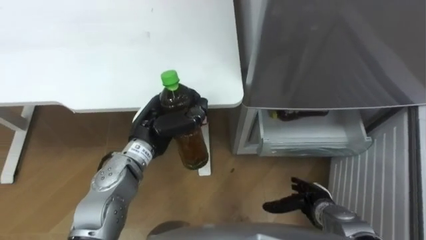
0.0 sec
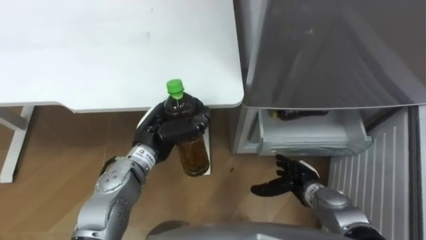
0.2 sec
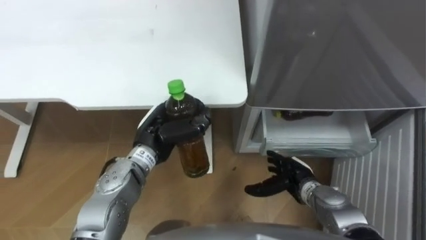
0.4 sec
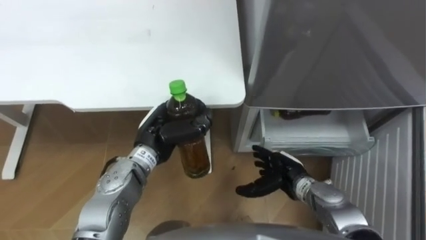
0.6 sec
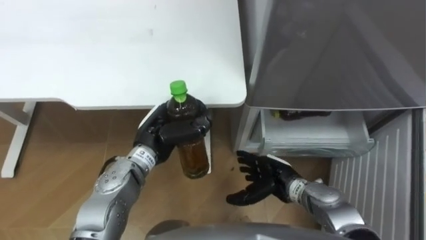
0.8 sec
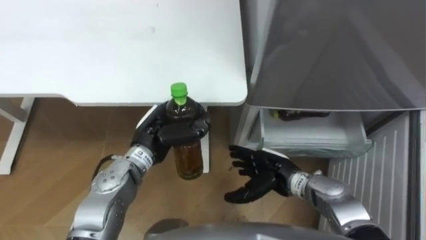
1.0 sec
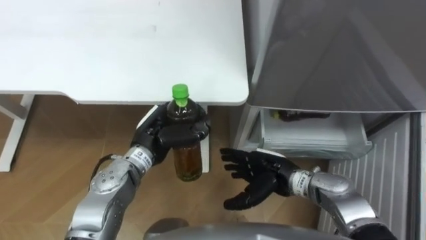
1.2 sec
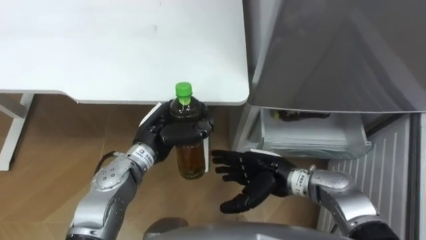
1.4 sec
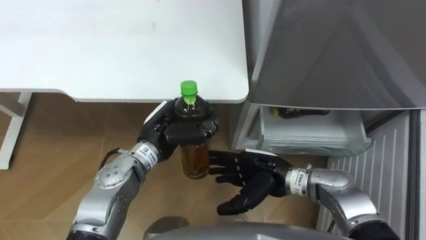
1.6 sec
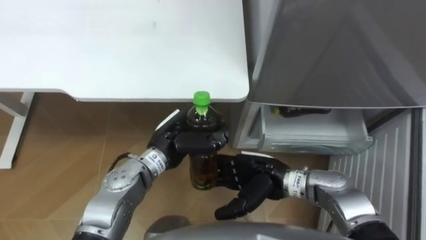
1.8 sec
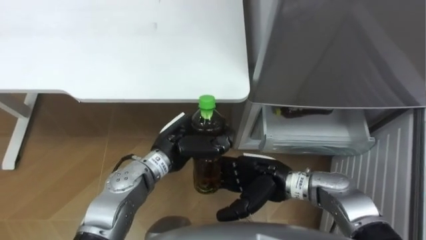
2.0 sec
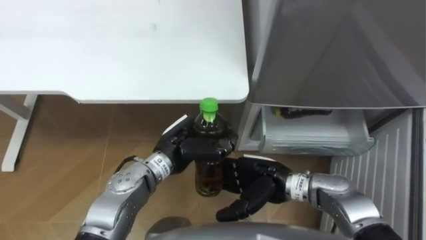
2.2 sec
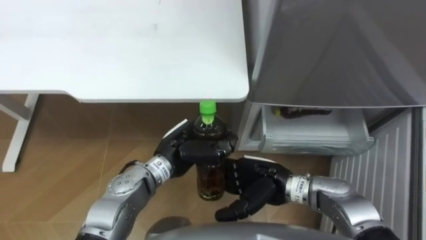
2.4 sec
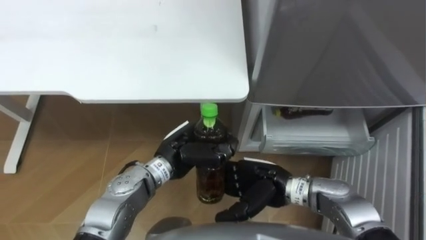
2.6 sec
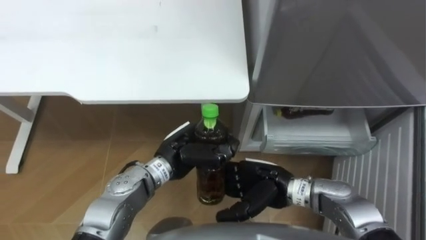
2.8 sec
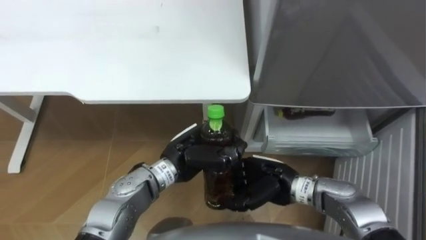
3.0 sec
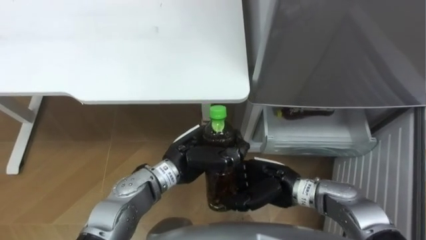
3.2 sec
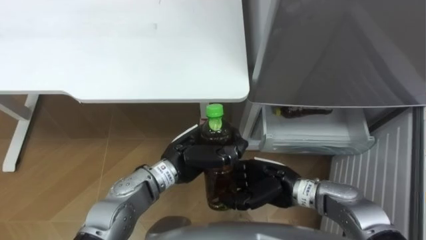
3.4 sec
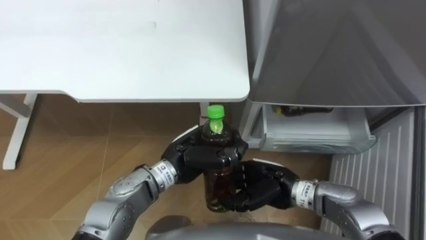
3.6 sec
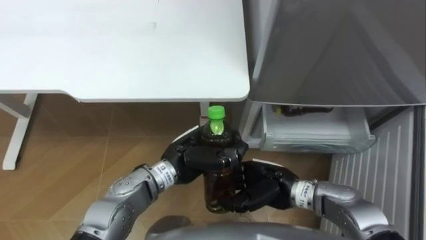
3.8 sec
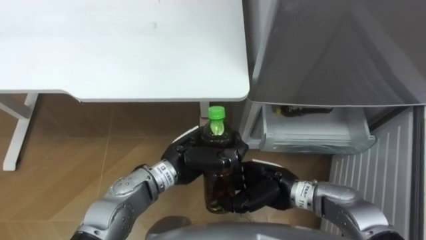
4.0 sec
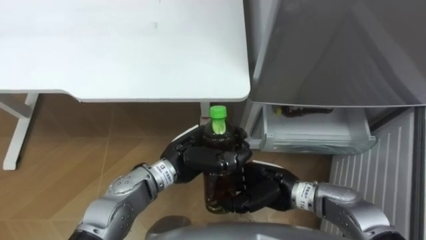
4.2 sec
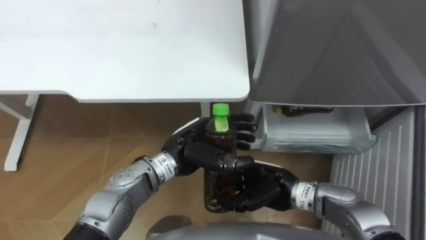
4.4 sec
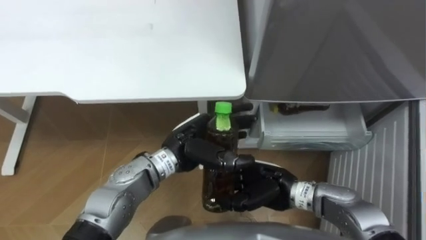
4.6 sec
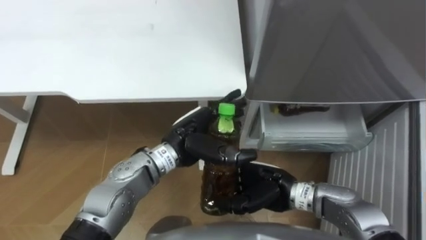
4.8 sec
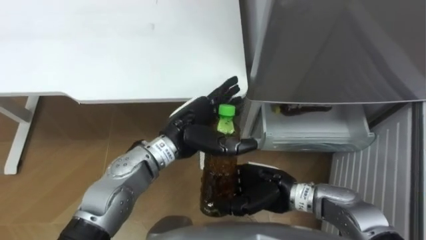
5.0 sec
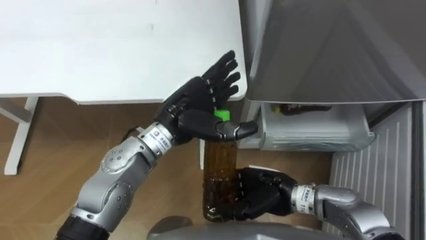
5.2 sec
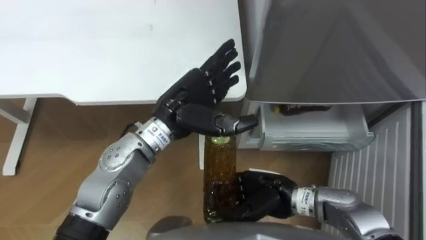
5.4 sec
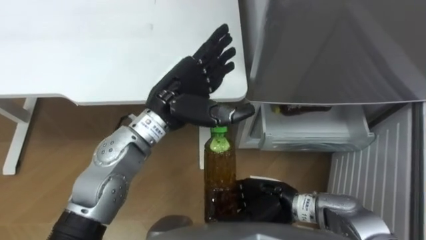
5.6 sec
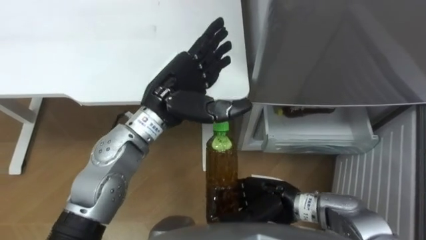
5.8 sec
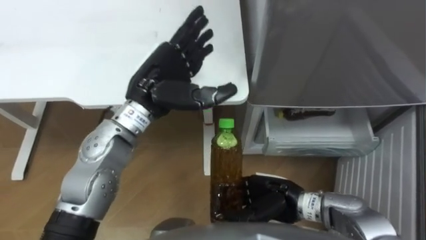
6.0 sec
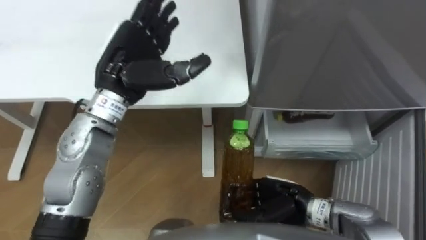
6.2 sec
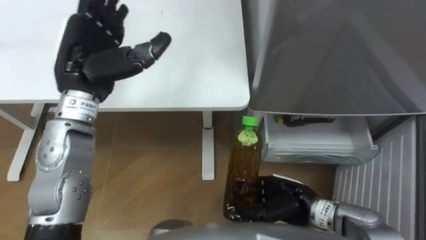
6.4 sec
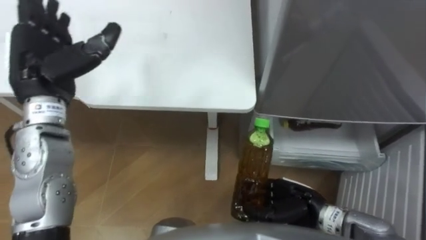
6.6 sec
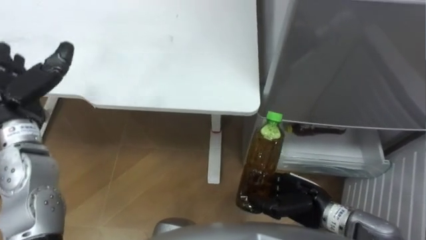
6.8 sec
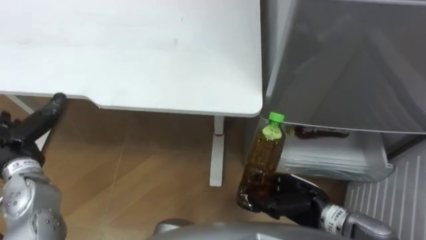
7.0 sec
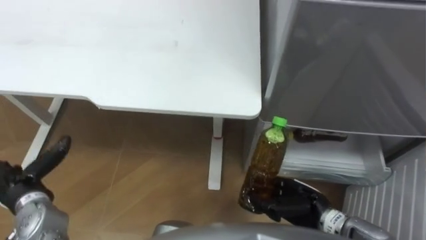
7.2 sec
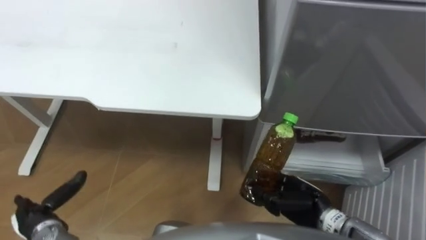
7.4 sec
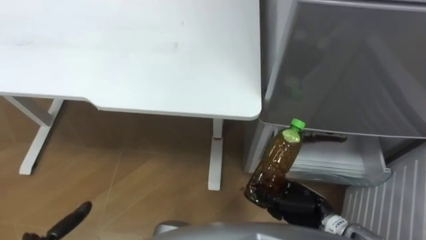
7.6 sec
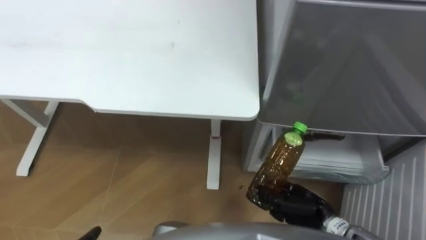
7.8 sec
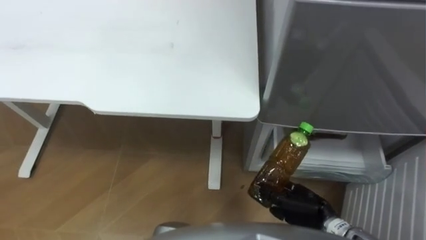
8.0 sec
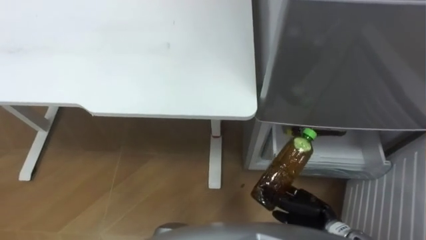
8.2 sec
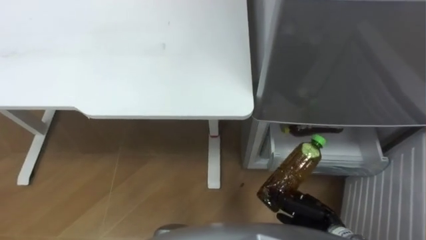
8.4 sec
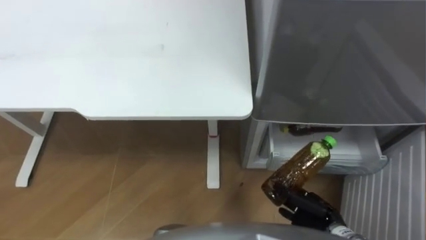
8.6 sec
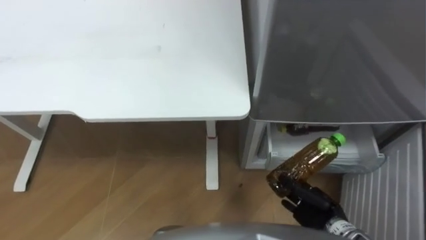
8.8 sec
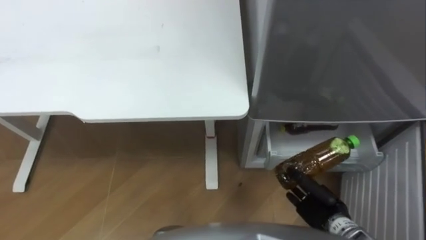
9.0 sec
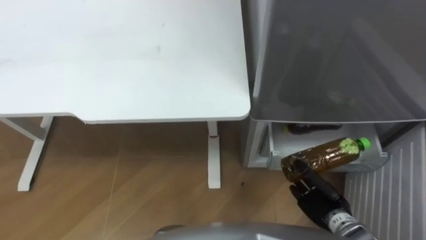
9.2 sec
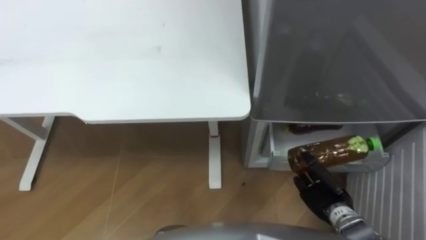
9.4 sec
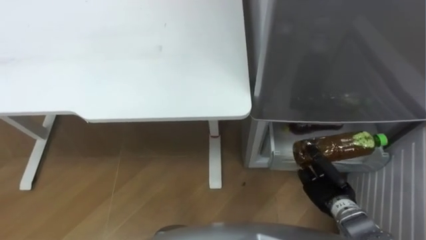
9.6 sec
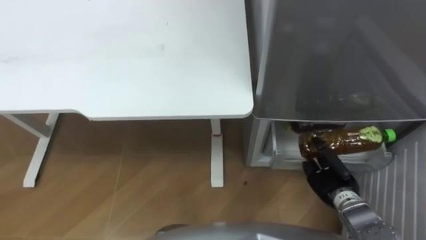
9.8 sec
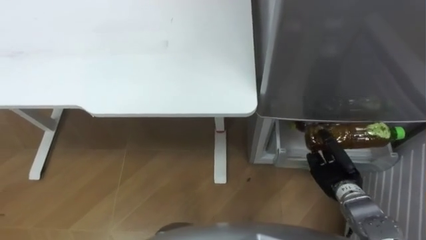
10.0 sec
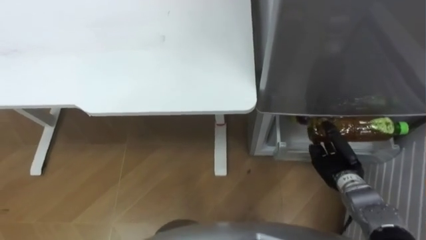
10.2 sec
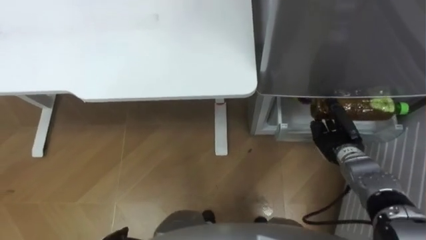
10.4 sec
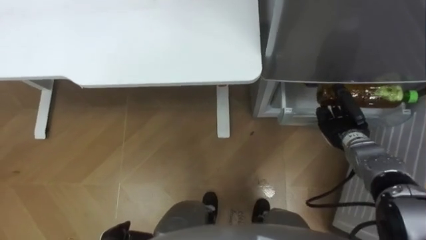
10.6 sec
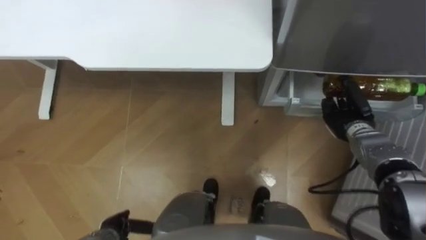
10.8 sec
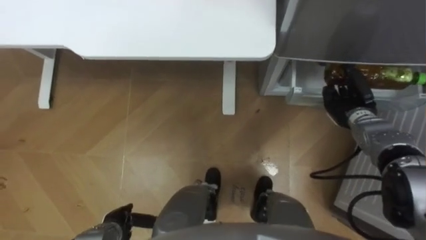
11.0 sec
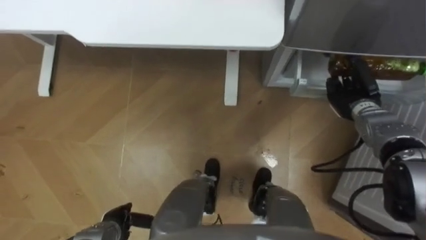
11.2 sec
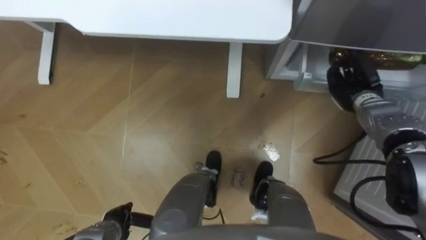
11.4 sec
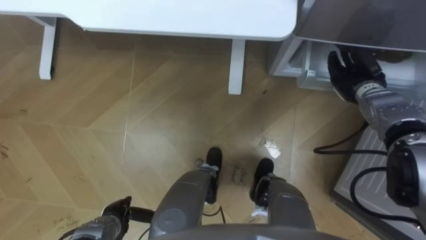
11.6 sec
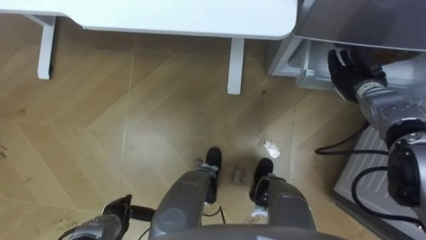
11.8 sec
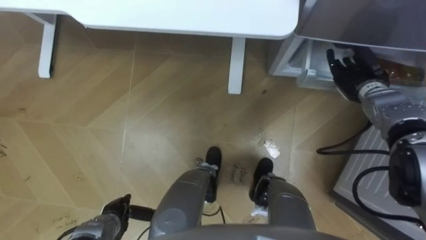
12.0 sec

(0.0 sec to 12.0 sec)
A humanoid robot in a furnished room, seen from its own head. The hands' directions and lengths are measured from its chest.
Task of the whole recording: Place the drink on the table on the bottom shelf of the refrigerator, then close the drawer and the refrigerator door.
0.0 sec - 1.6 sec: The right hand moves to the left, upward and forward, about 20 cm.
1.6 sec - 3.0 sec: The left hand moves about 5 cm.
3.0 sec - 4.4 sec: The left hand opens up.
4.4 sec - 6.0 sec: The left hand moves upward and forward, about 15 cm, and opens its fingers.
6.0 sec - 7.6 sec: The right hand heads to the right, covering some 10 cm.
7.6 sec - 9.0 sec: The right hand ends up approximately 5 cm from where it was.
9.0 sec - 10.4 sec: The right hand moves forward, some 10 cm.
10.4 sec - 12.0 sec: The right hand is displaced forward and upward by about 15 cm, and opens its fingers.

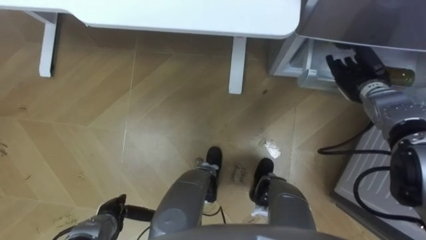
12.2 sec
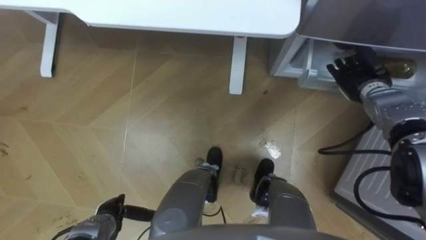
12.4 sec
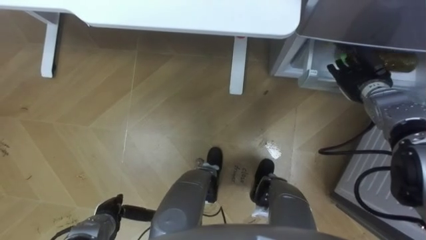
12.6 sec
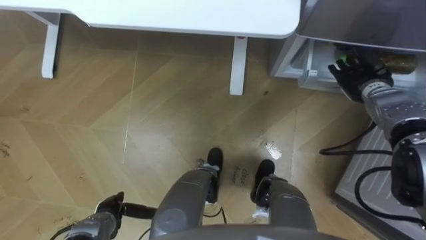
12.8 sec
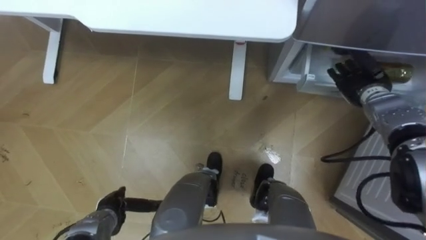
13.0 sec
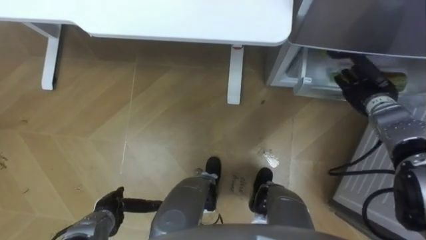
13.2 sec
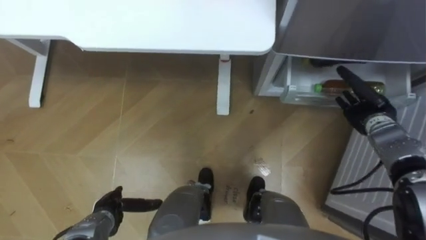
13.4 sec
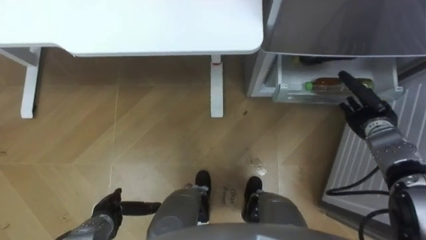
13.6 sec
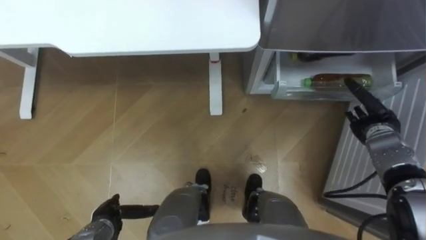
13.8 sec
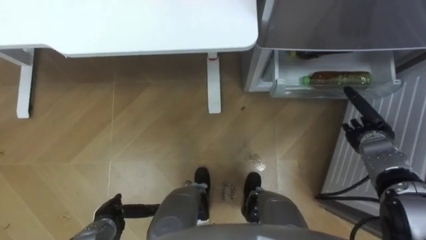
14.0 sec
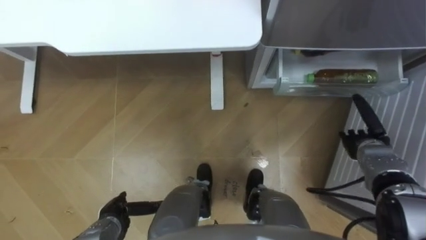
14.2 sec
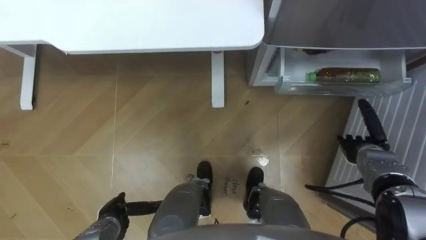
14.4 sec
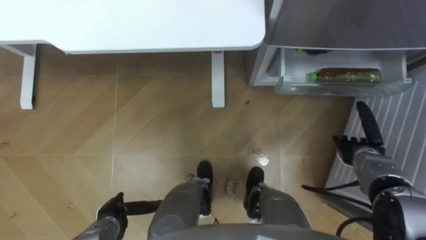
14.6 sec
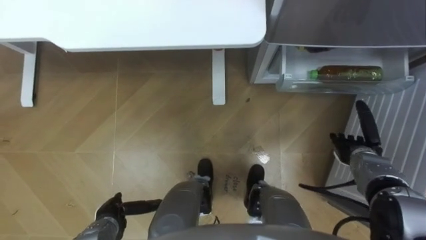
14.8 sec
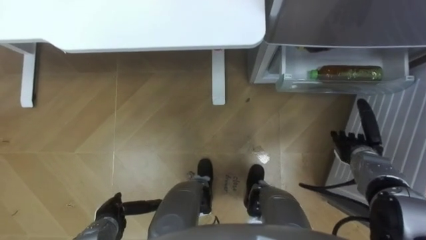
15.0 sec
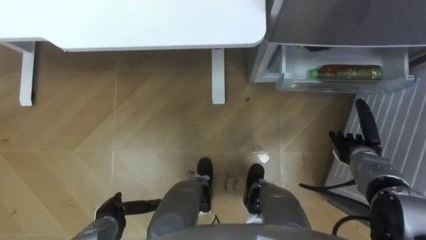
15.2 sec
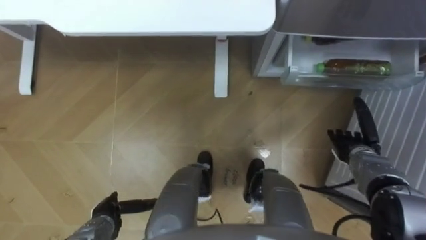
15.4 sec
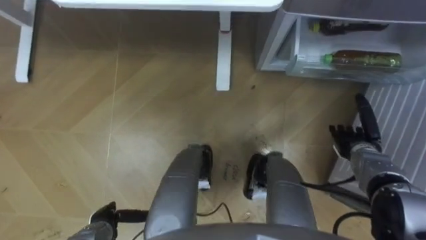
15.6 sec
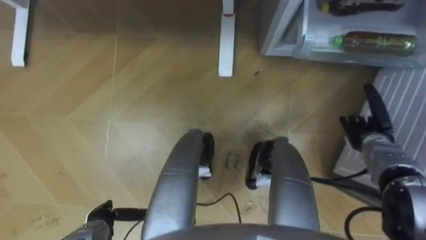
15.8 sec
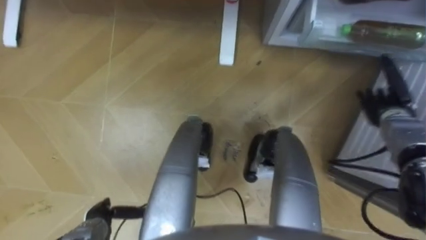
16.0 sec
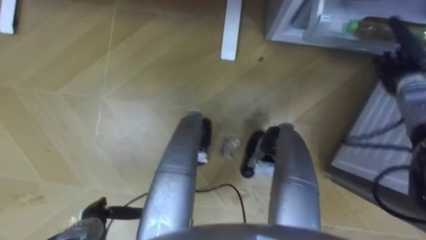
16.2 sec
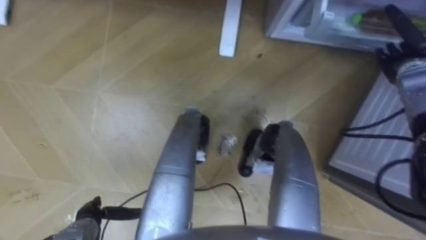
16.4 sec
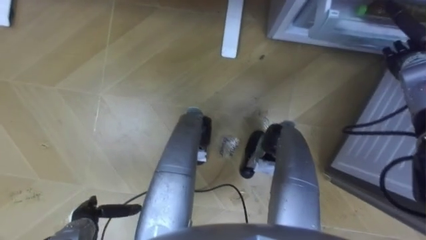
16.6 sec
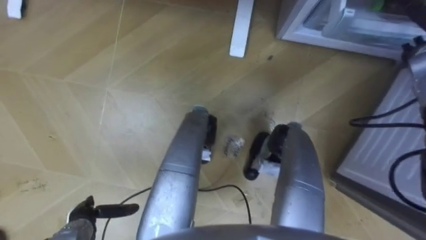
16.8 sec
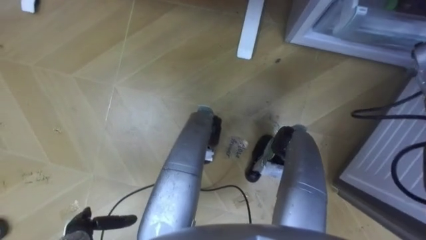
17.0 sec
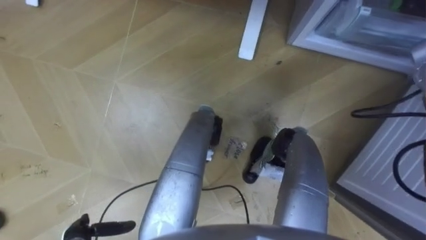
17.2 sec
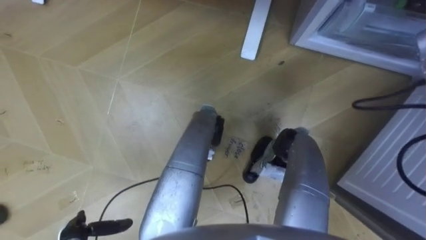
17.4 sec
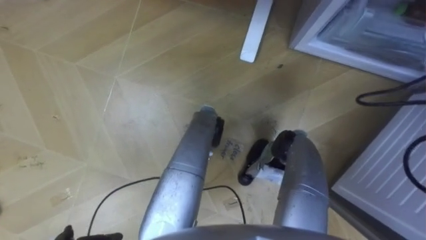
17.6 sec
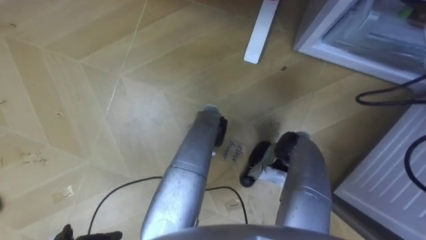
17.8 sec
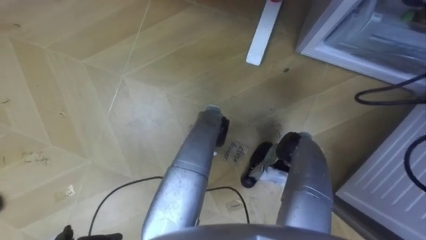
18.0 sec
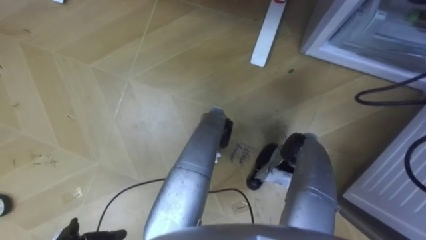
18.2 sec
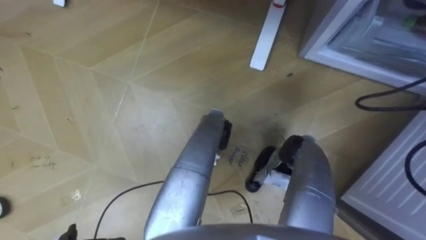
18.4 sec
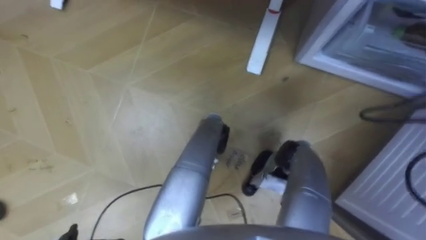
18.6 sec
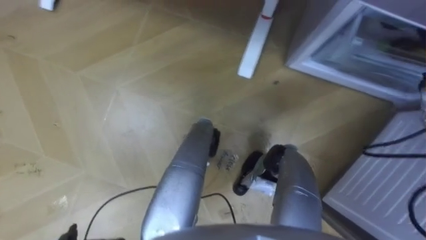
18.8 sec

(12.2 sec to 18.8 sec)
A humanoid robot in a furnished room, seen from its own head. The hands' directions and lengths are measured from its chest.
Task of the whole recording: Place the drink on the table on the bottom shelf of the refrigerator, then close the drawer and the refrigerator door.
12.2 sec - 13.8 sec: The right hand goes about 10 cm backward and downward.
13.8 sec - 15.4 sec: The right hand moves roughly 5 cm.
